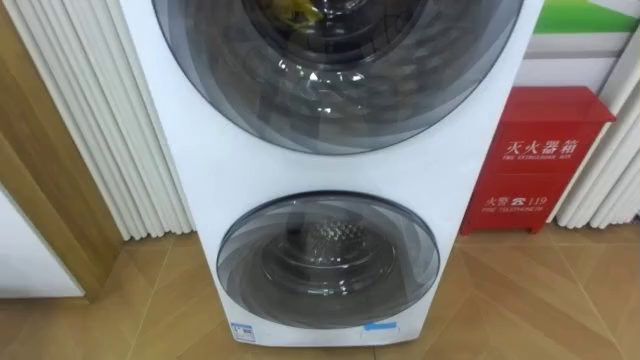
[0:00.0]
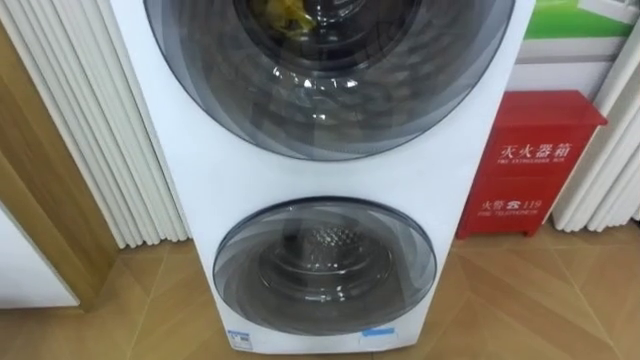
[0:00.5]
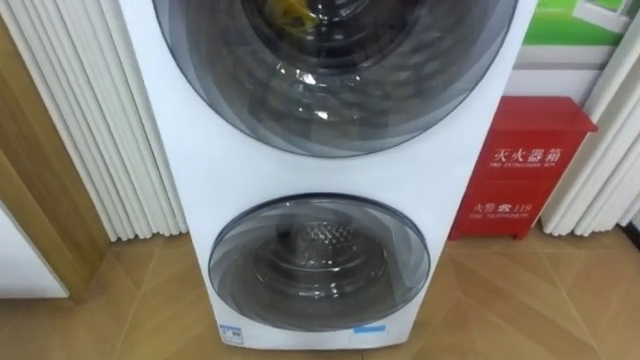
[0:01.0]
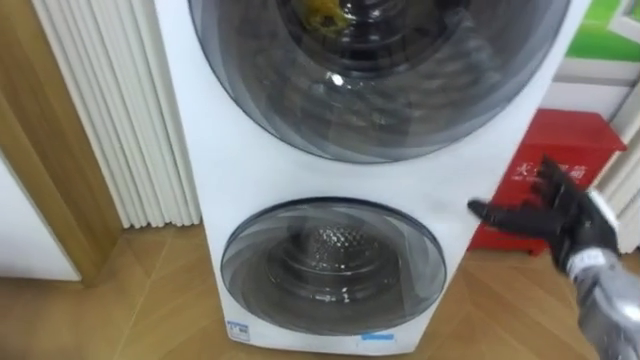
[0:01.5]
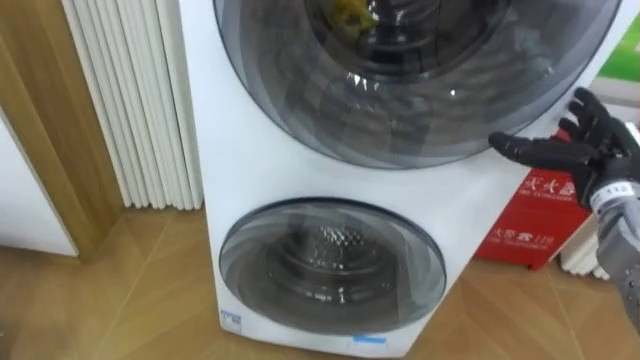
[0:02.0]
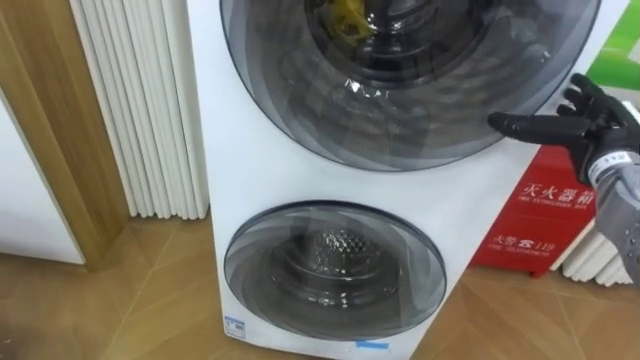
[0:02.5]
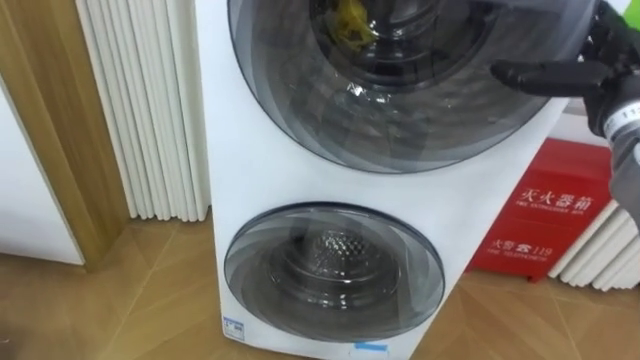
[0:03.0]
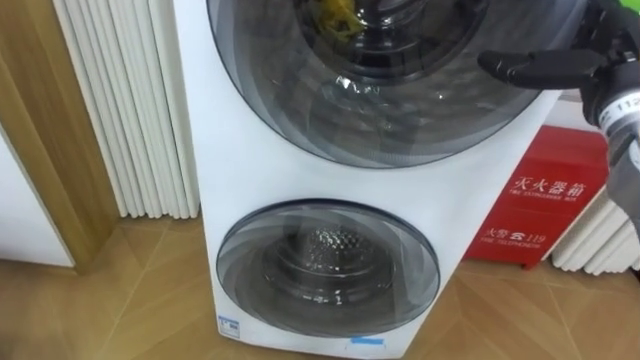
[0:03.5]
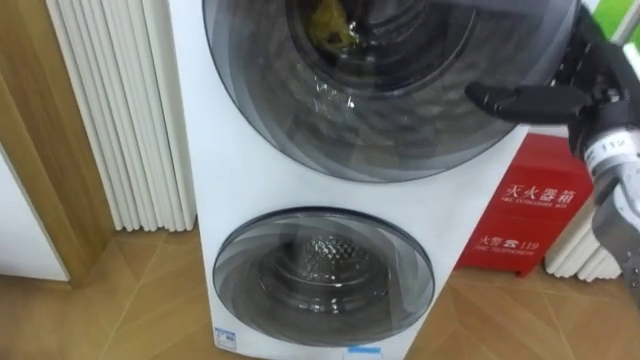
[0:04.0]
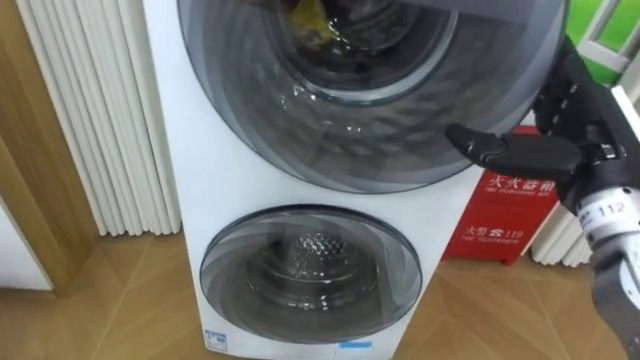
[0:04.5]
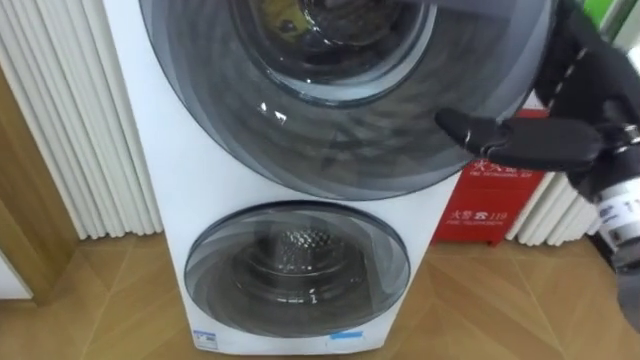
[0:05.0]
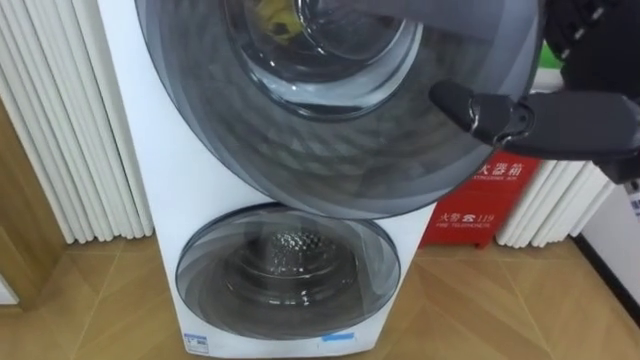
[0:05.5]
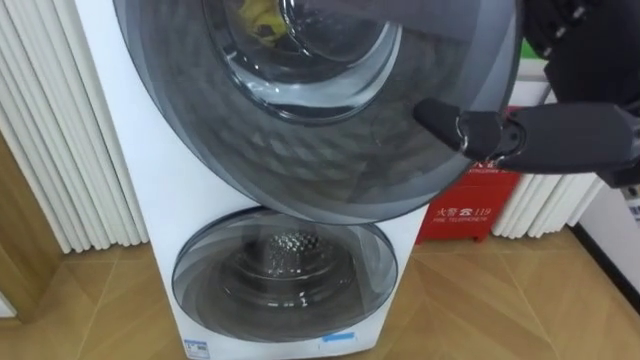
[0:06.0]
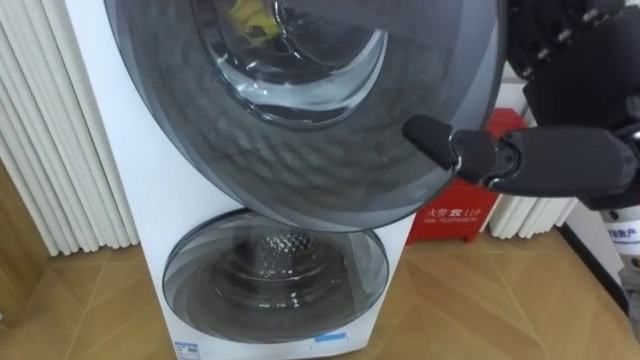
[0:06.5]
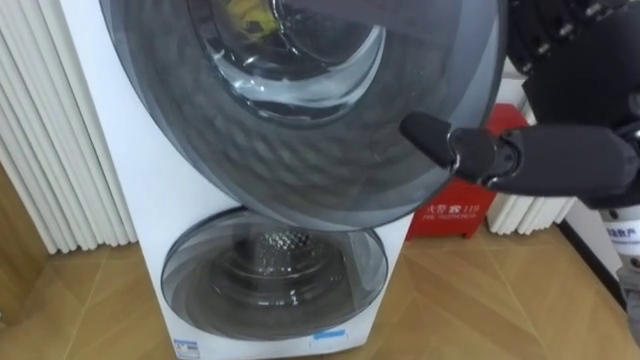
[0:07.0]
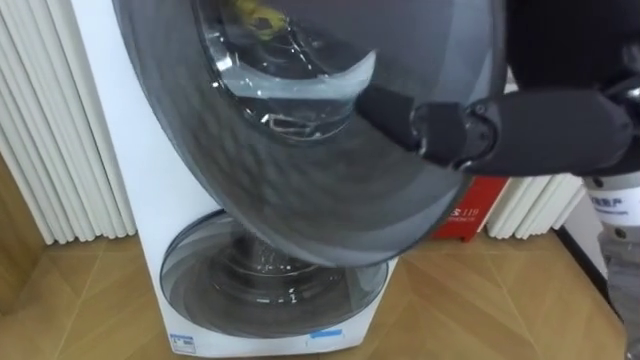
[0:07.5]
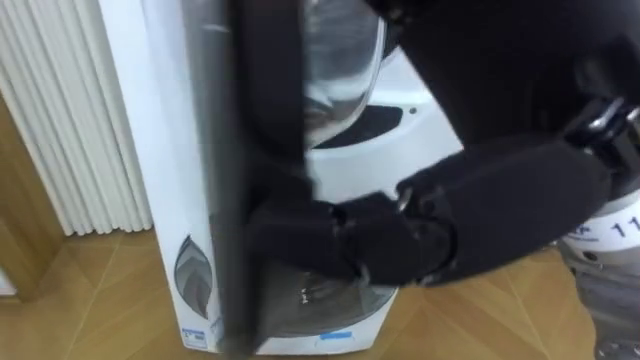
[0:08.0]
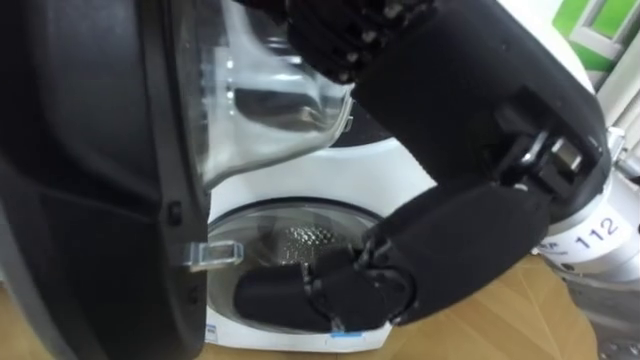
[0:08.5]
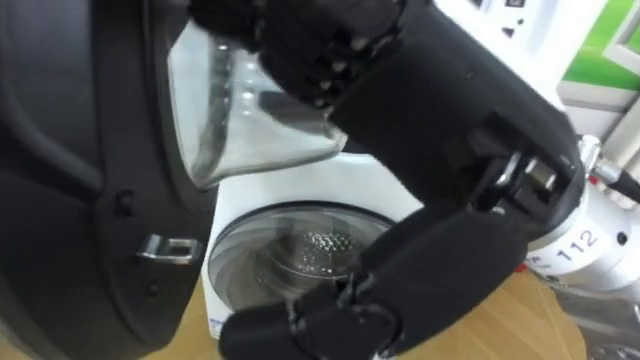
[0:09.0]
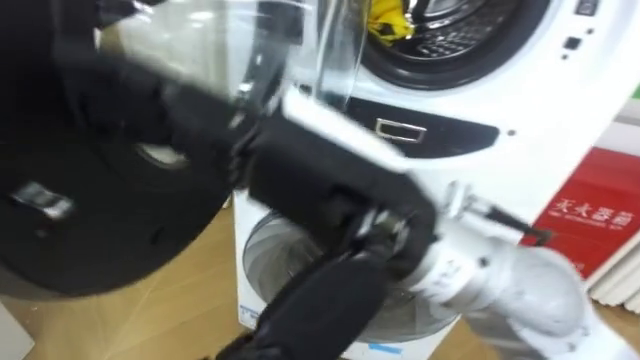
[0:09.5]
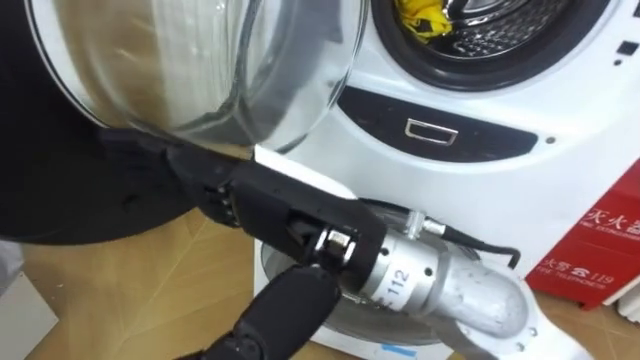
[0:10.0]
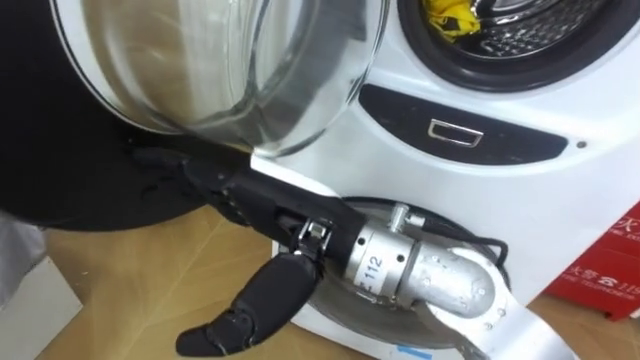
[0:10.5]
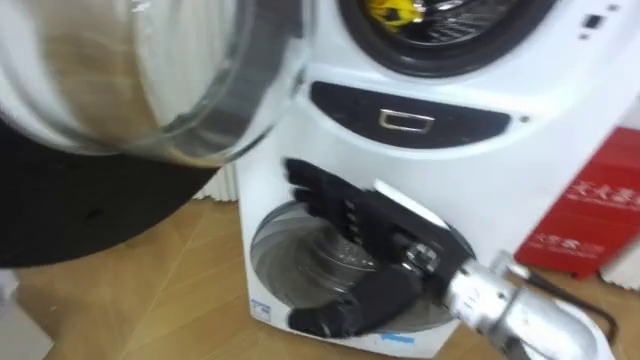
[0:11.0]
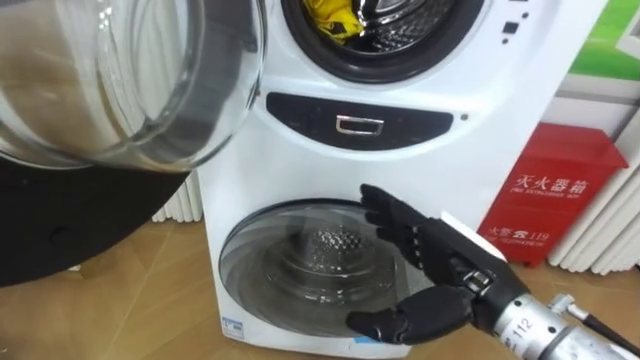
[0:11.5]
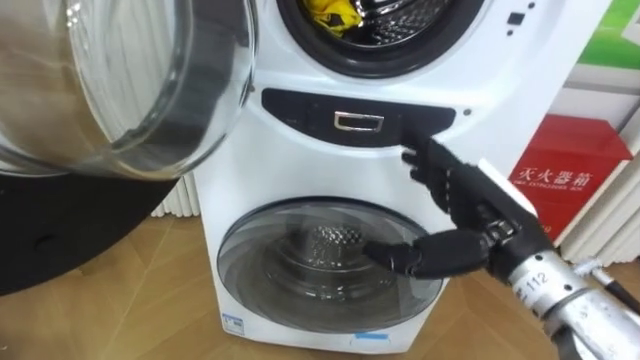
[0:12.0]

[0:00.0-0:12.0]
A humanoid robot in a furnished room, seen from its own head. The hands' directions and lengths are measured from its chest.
Task of the whole recording: Open the washing machine door, take out the yellow clothes, place them in the box on the right, and close the washing machine door.
2.0 to 4.0 s: The right hand goes about 10 cm upward.
4.0 to 6.0 s: The right hand is displaced backward, upward and to the left by roughly 15 cm.
6.0 to 8.0 s: The right hand moves to the left and backward, about 10 cm.
8.0 to 10.0 s: The right hand moves downward and to the left, approximately 15 cm.
10.0 to 12.0 s: The right hand travels to the right and downward by approximately 20 cm.

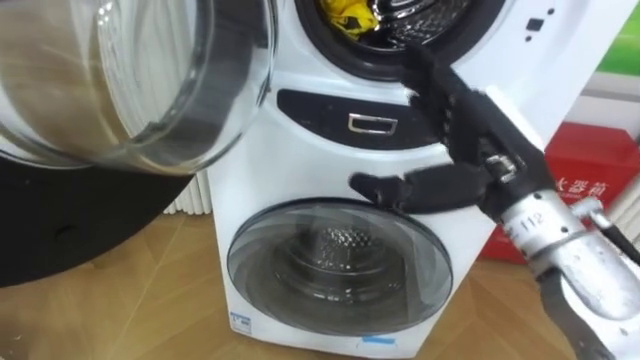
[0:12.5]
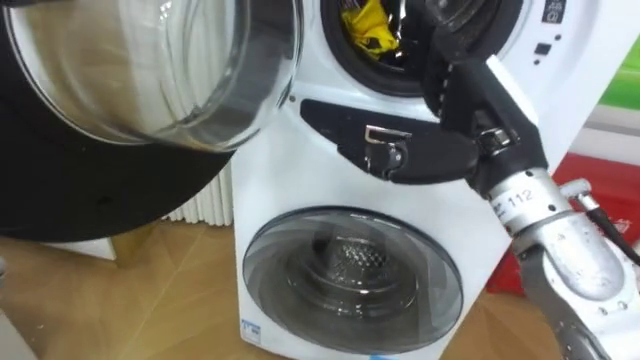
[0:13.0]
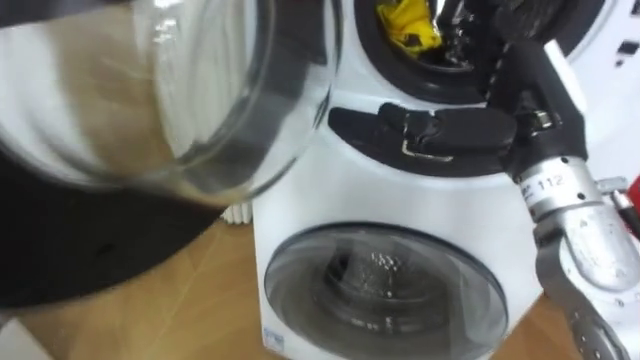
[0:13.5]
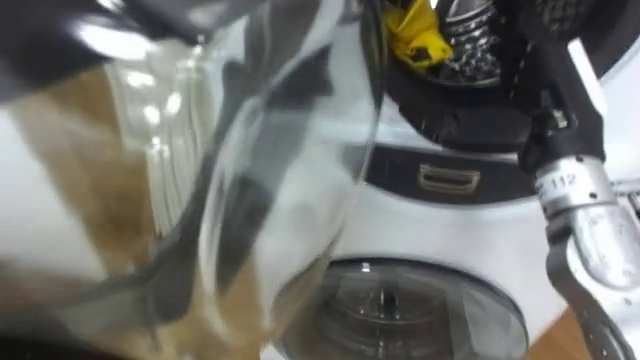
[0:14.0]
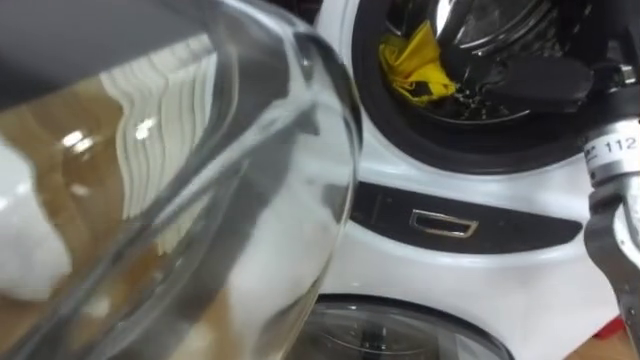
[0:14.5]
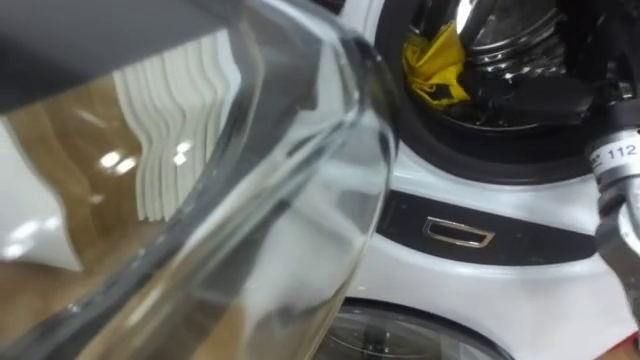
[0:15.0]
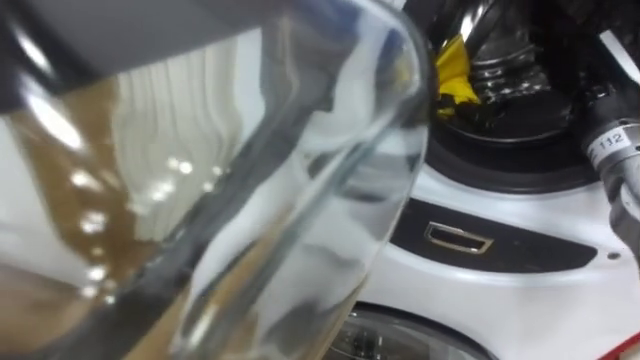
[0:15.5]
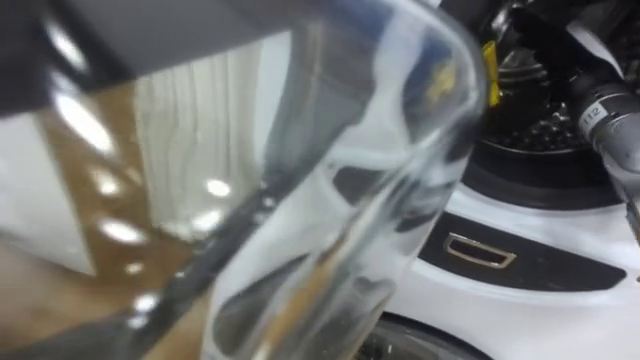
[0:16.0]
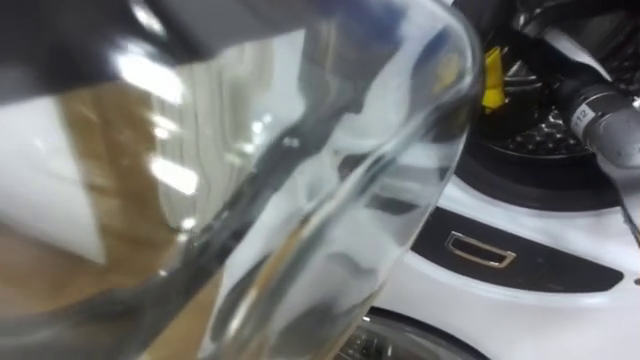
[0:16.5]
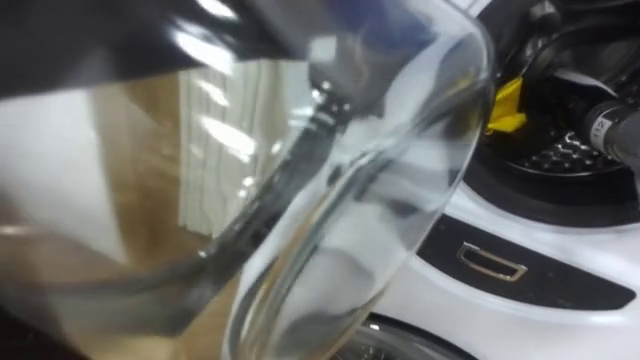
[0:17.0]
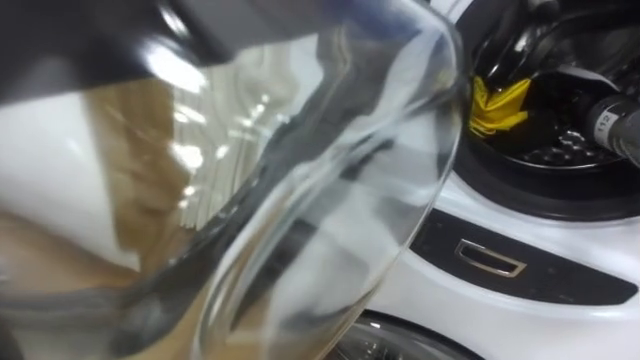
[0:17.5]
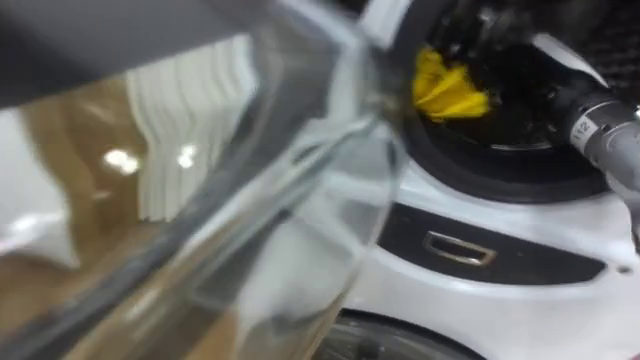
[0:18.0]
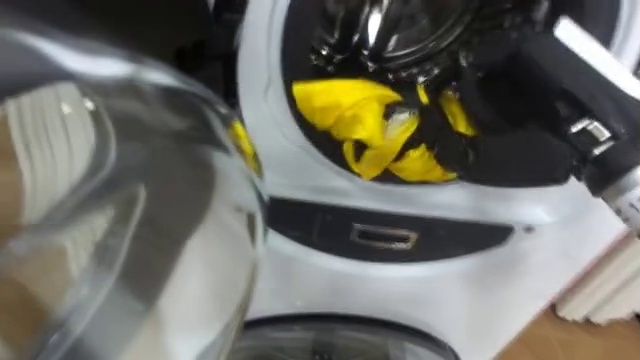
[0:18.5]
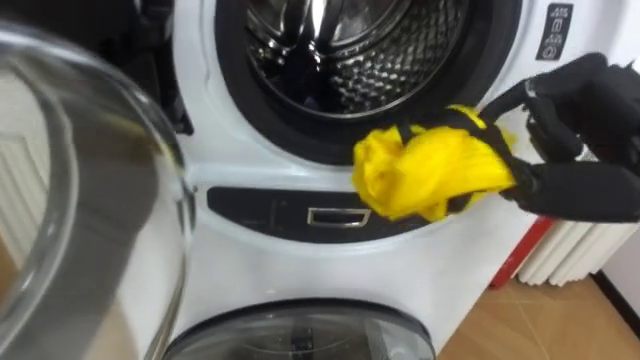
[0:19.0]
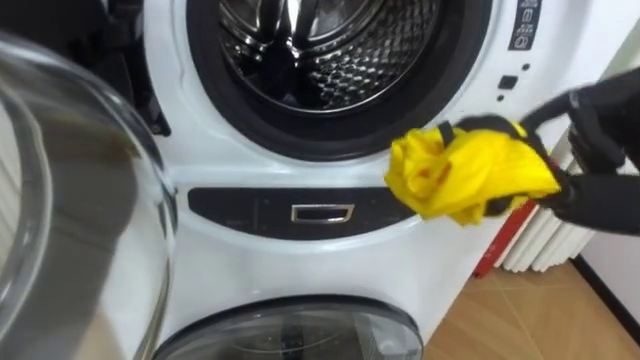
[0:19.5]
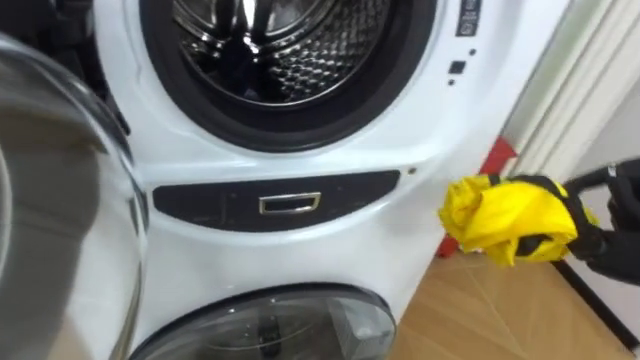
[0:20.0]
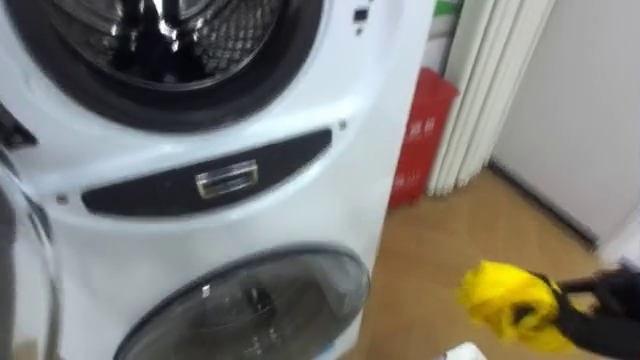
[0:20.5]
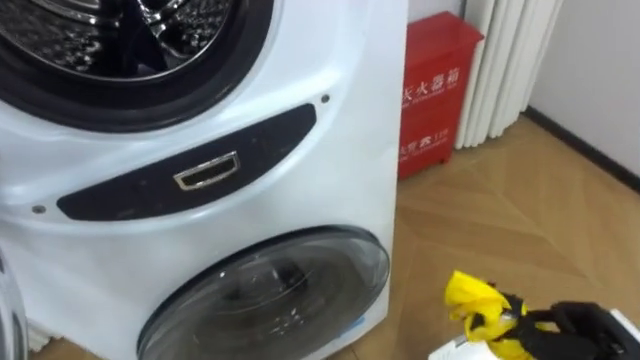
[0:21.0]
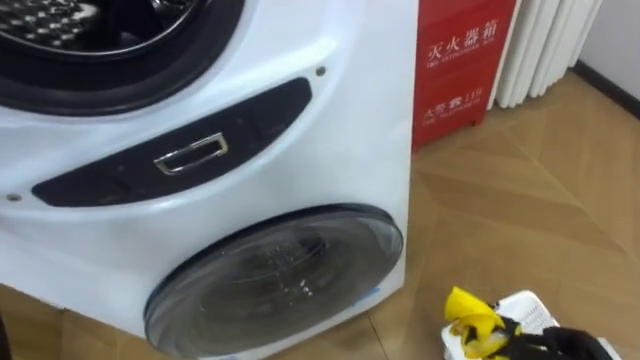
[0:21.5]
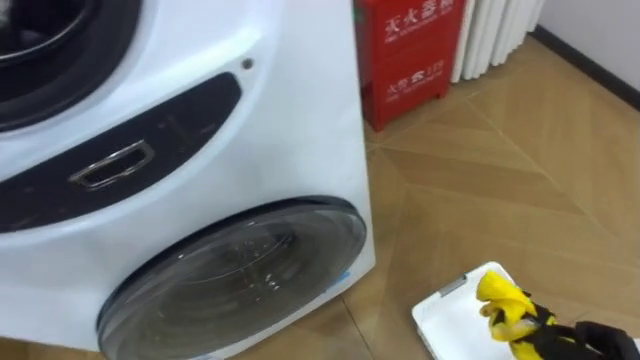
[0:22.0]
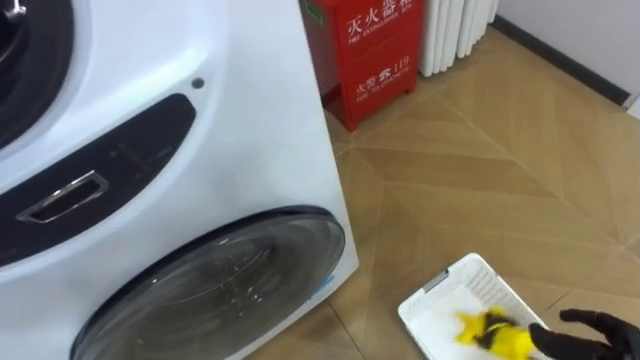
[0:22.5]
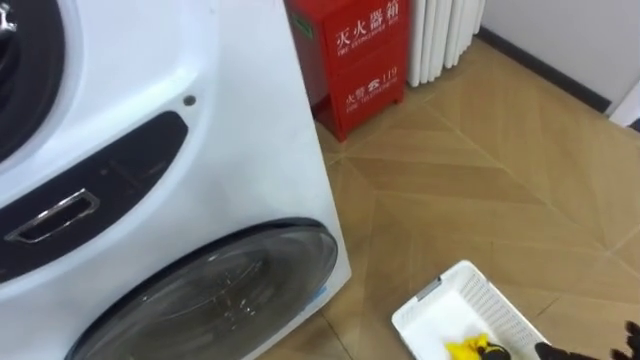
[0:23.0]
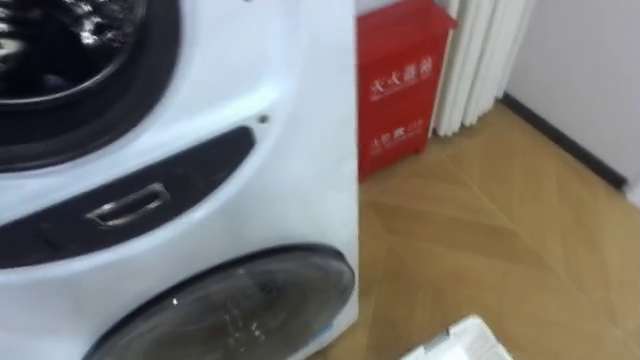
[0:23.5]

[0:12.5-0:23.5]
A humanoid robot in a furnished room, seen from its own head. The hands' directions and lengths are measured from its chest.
Task of the whole recording: Open the washing machine door, take out the yellow clothes, place them in the box on the right, and close the washing machine door.
12.5 to 14.5 s: The right hand travels to the right and upward by roughly 10 cm.
14.5 to 16.0 s: The right hand moves forward and downward, roughly 10 cm.
16.0 to 18.0 s: The right hand closes its fingers.
